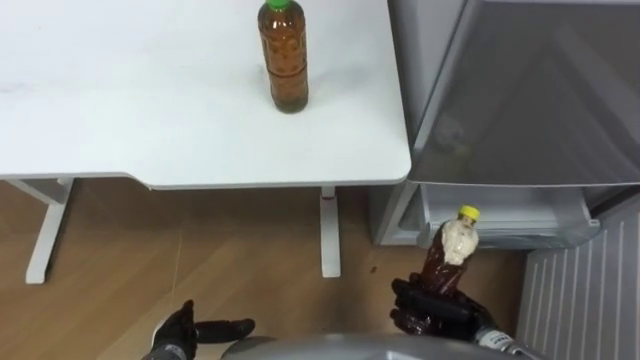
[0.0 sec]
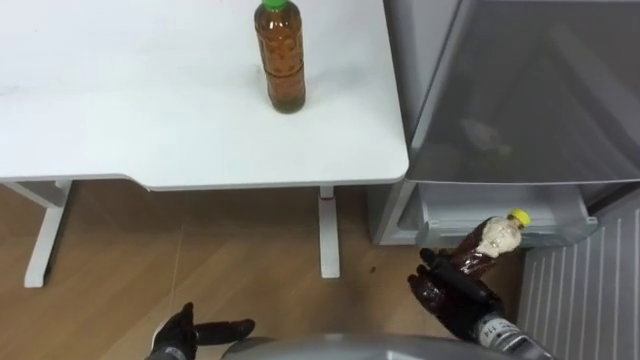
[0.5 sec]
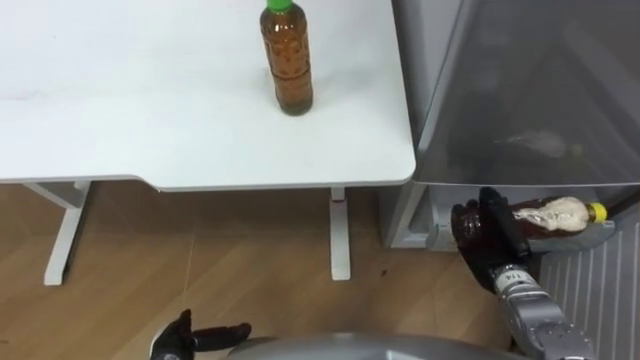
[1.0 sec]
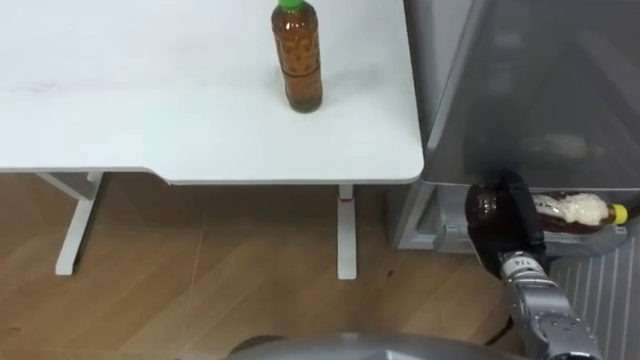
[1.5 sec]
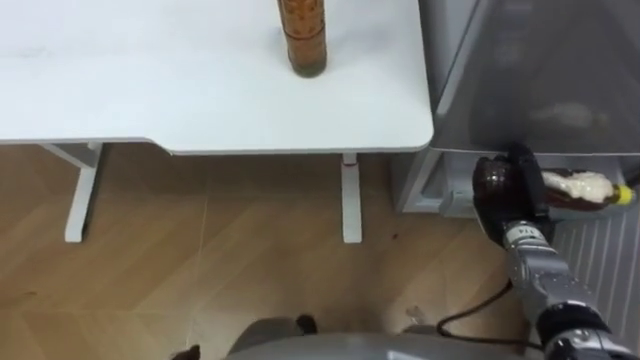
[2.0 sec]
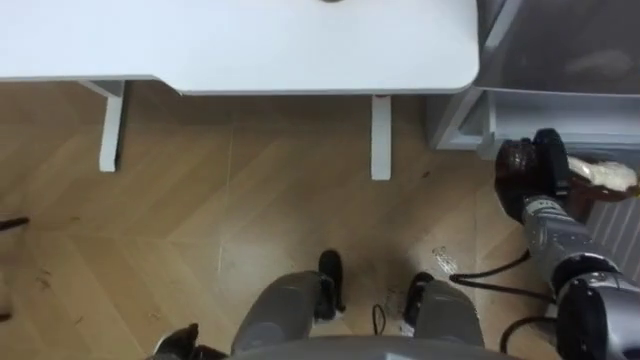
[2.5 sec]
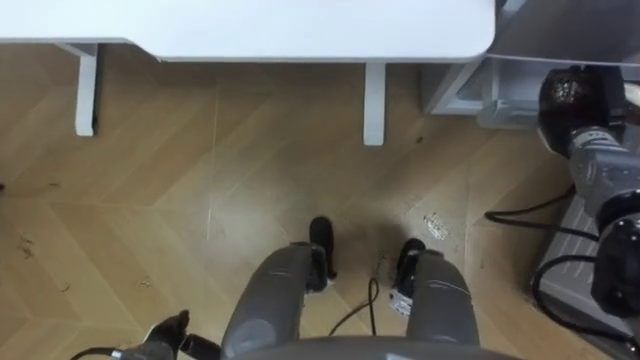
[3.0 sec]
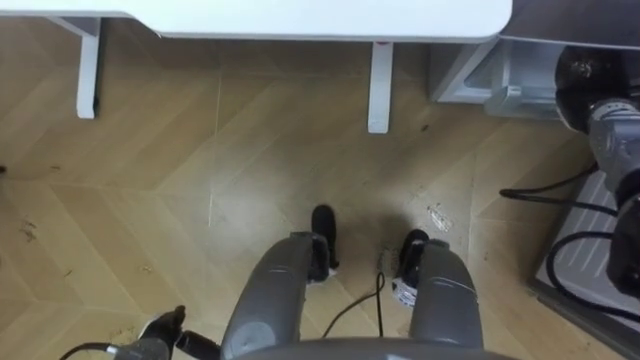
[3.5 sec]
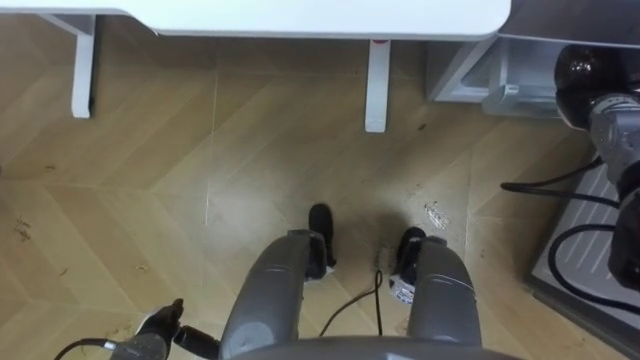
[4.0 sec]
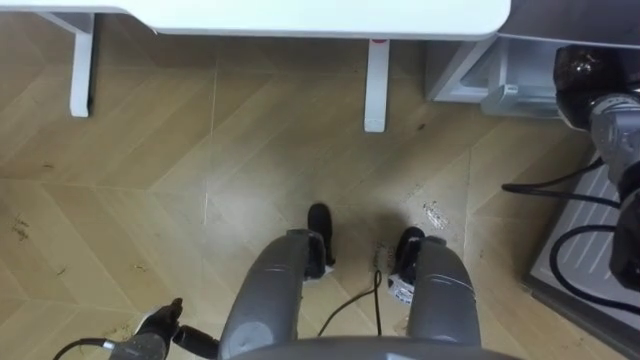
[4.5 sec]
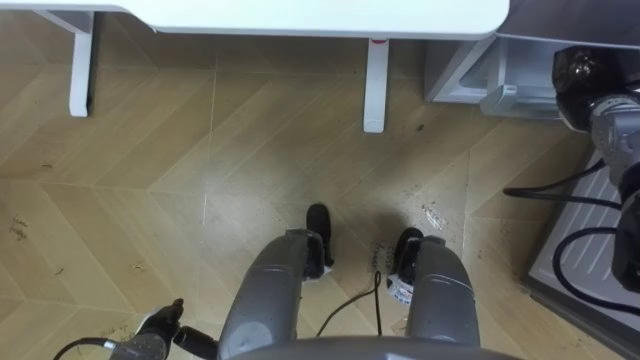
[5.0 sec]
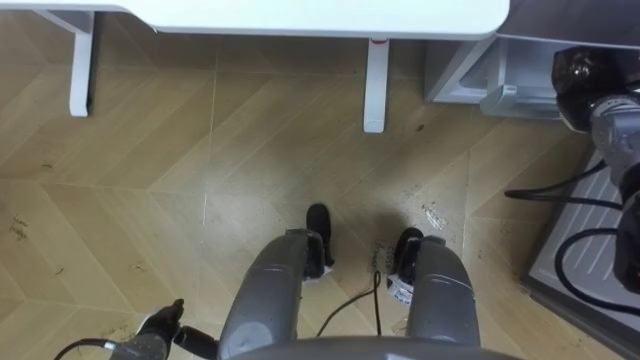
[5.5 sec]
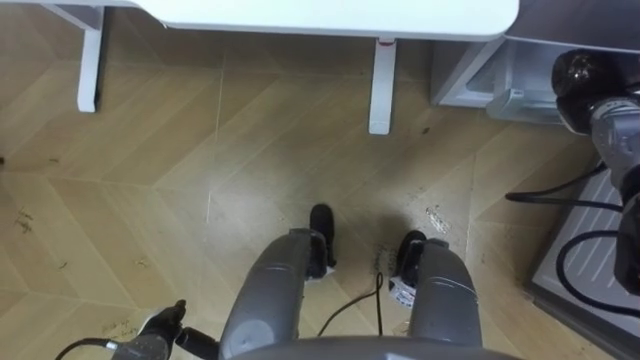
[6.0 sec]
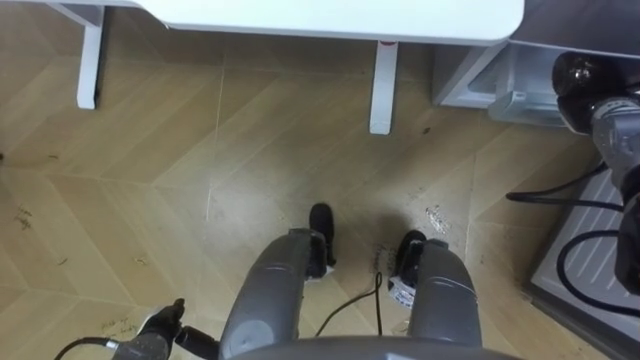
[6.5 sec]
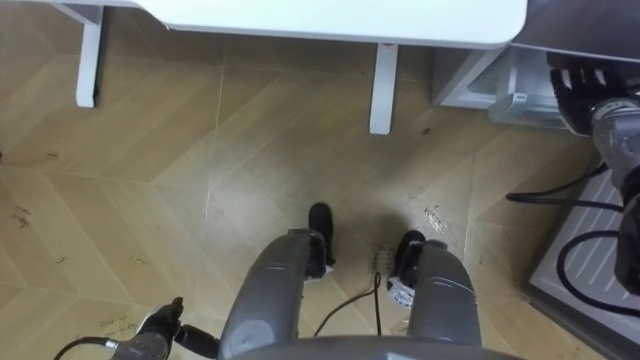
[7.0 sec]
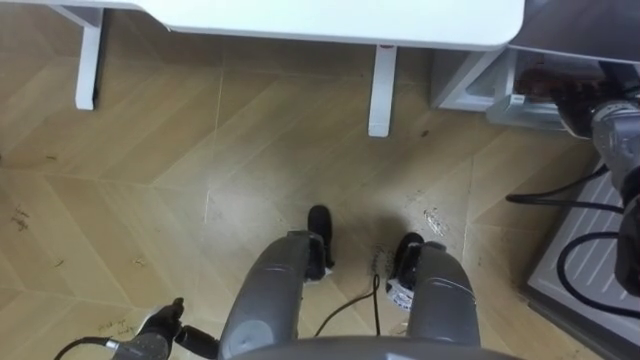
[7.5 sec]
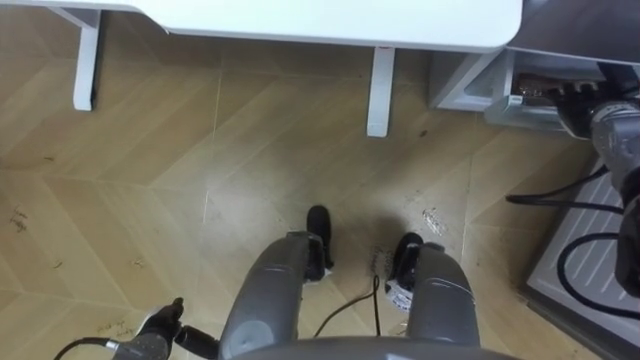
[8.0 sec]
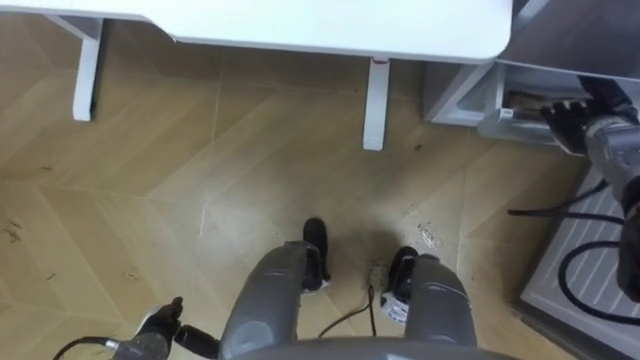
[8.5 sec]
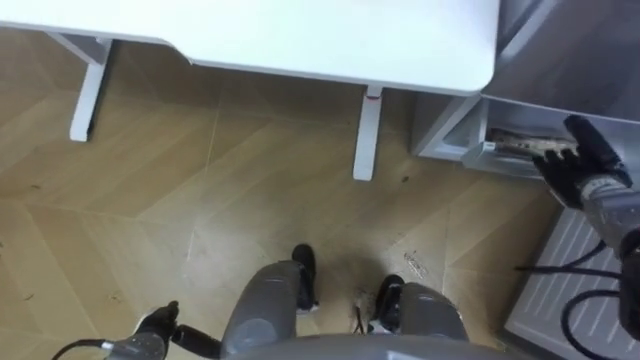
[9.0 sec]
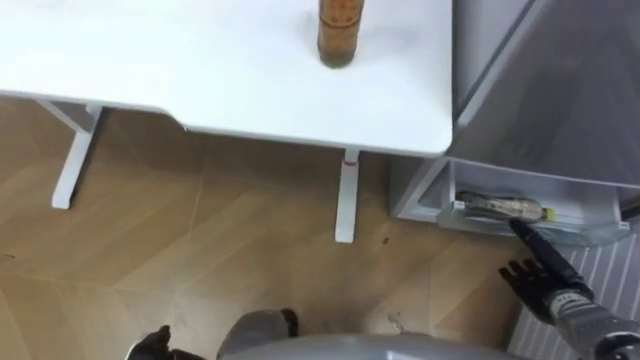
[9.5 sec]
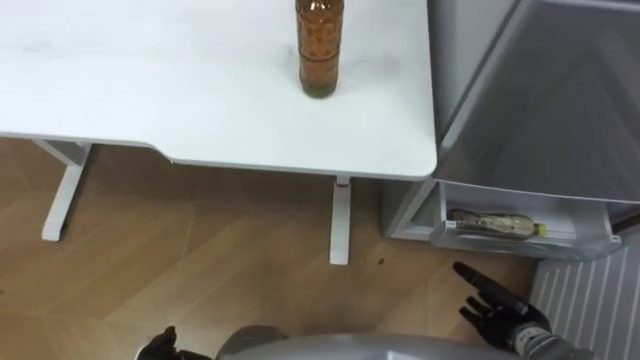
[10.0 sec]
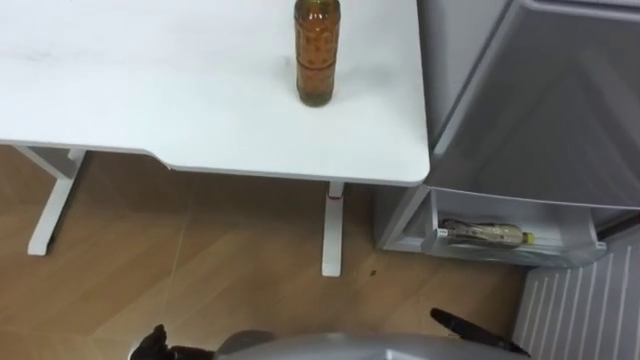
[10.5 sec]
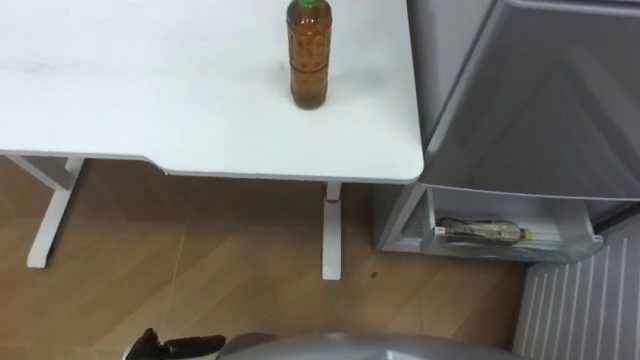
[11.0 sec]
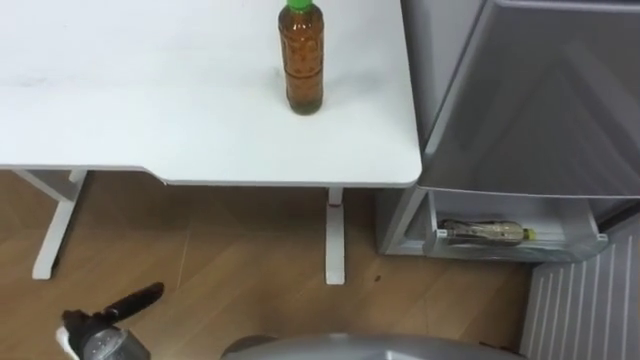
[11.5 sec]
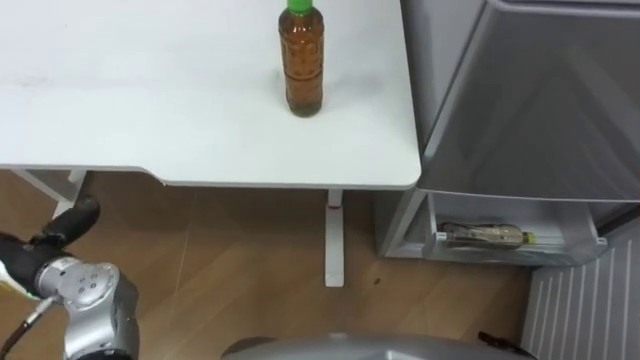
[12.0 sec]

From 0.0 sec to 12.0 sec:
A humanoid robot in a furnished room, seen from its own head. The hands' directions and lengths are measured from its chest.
Task of the whole recording: Place the drink on the table on the bottom shelf of the refrigerator, then close the drawer and the refrigerator door.
From 0.0 sec to 2.0 sec: The right hand moves forward and to the right, about 15 cm.
From 2.0 sec to 4.0 sec: The right hand goes about 20 cm forward, upward and to the right.
From 4.0 sec to 6.0 sec: The hands stay close to where they were, moving slightly.
From 6.0 sec to 8.0 sec: The right hand opens up.
From 8.0 sec to 10.0 sec: The right hand shifts about 30 cm backward and downward.

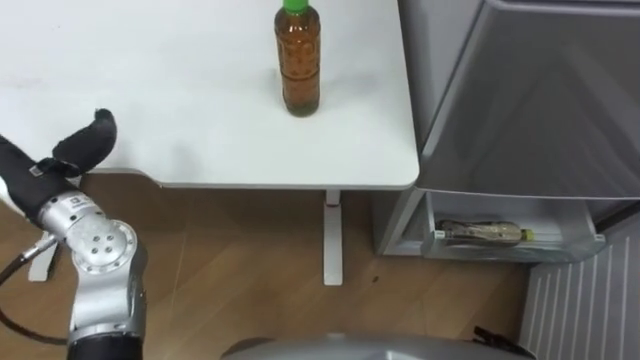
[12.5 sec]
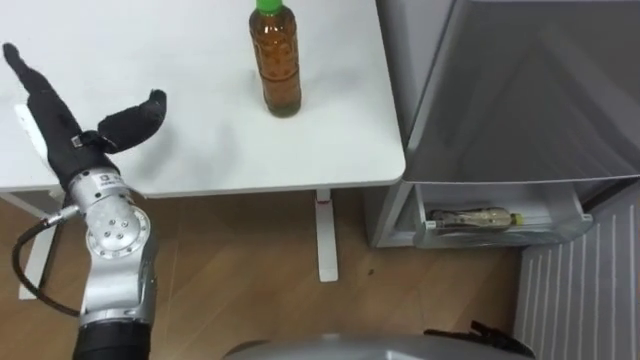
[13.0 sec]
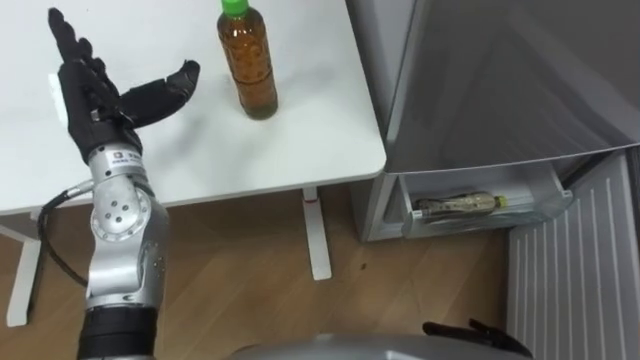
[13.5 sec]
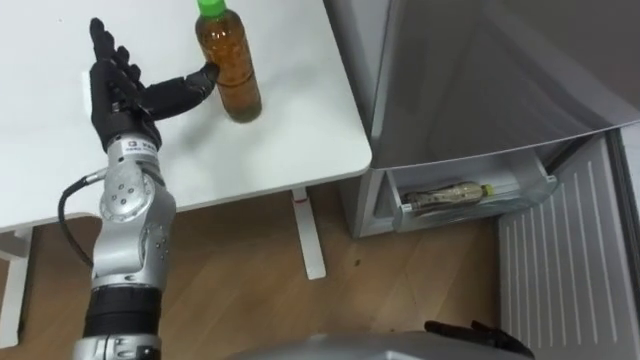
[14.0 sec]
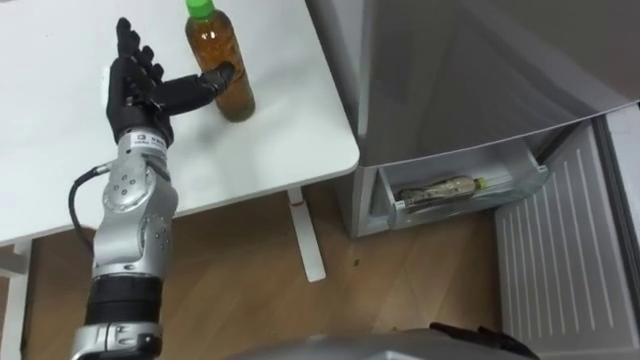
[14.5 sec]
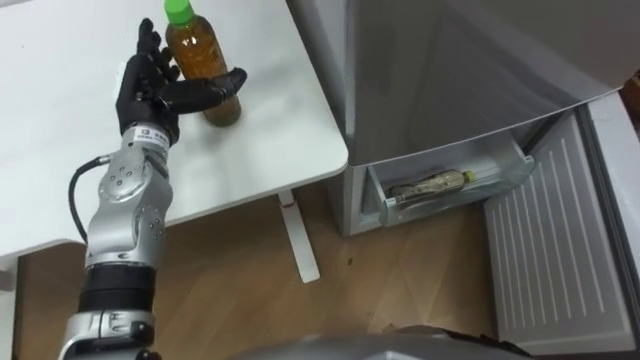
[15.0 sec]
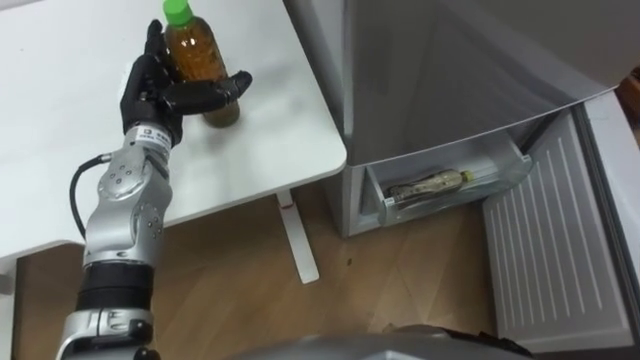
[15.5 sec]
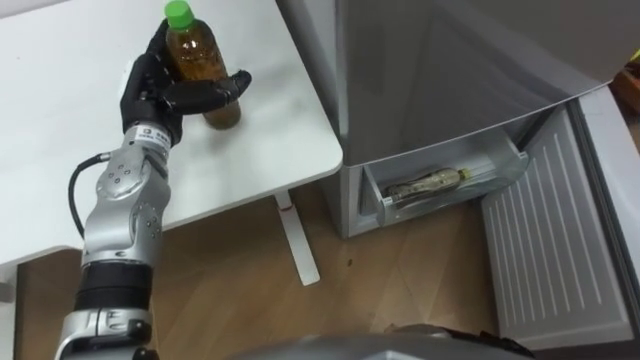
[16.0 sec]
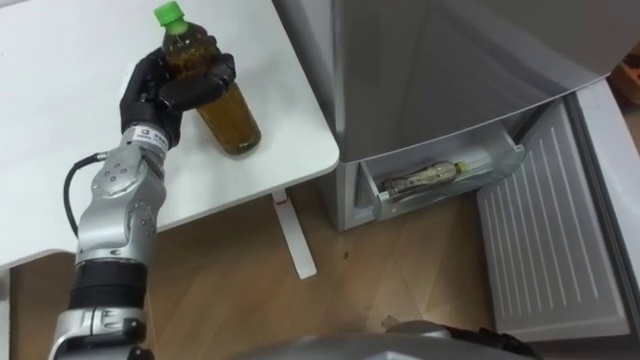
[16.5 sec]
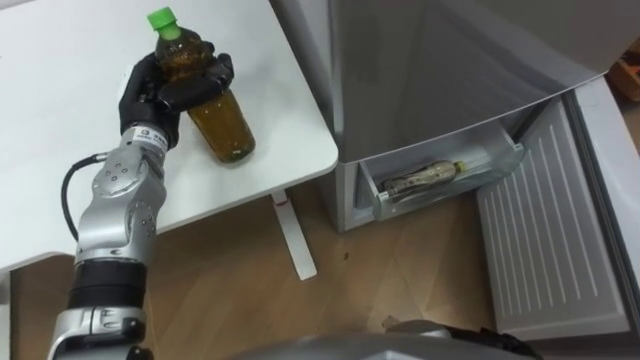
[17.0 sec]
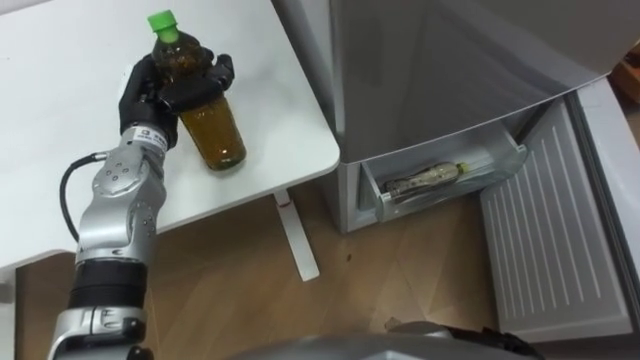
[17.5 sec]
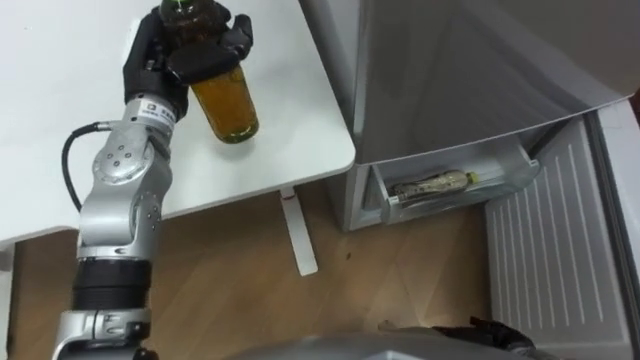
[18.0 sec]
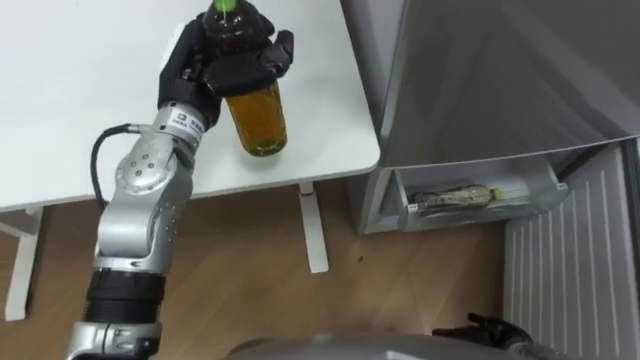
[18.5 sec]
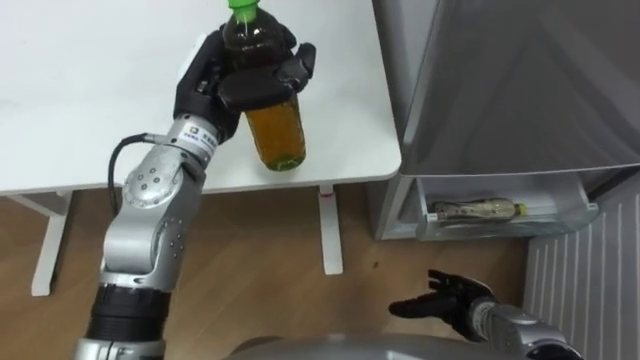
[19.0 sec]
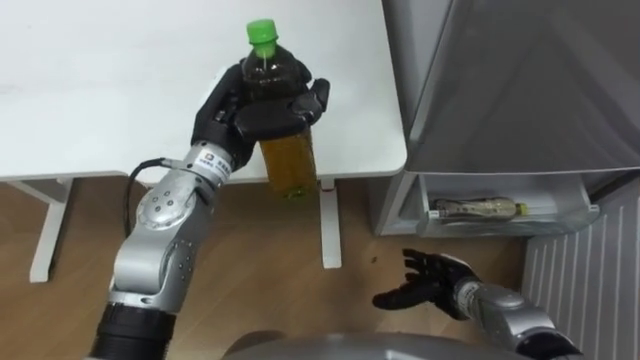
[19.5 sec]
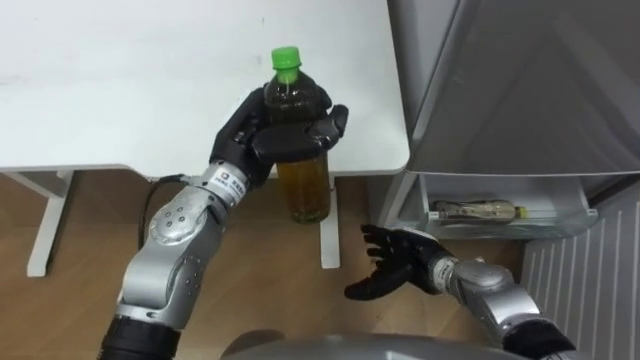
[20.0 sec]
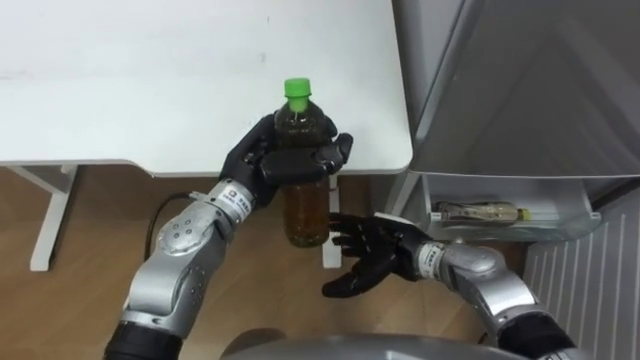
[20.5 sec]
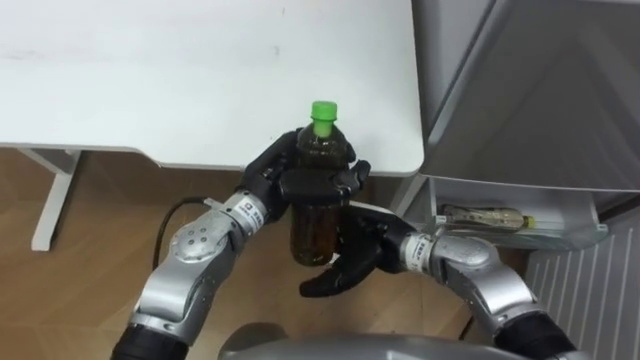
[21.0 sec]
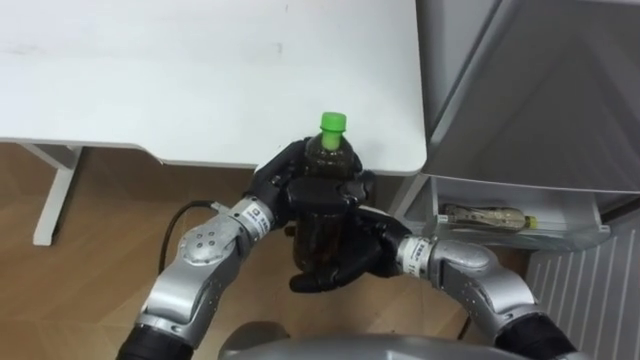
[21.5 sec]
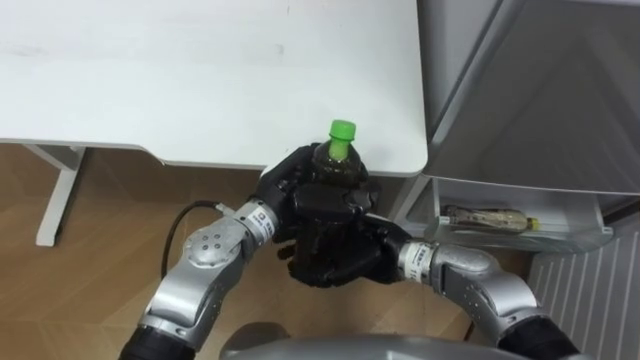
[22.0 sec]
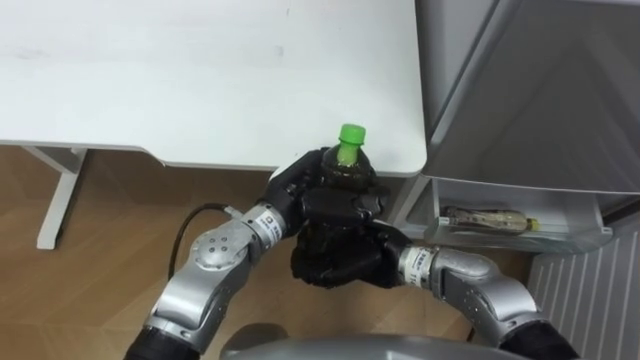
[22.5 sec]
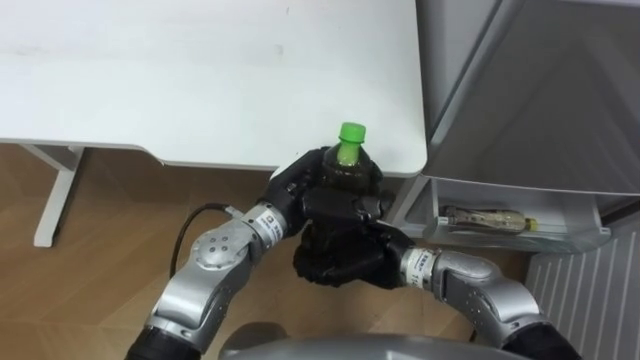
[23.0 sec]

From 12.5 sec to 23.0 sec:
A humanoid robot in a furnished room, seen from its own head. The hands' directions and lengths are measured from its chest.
Task of the whole recording: Place the drink on the table on the bottom shelf of the refrigerator, then close the drawer and the refrigerator door.
From 12.5 sec to 14.5 sec: The left hand shifts approximately 15 cm forward and to the right.
From 14.5 sec to 16.5 sec: The left hand closes.
From 16.5 sec to 19.0 sec: The left hand moves to the right and upward, approximately 10 cm.
From 19.0 sec to 21.0 sec: The right hand goes approximately 20 cm to the left, upward and forward. The left hand travels downward, to the right and backward by about 15 cm.
From 21.0 sec to 23.0 sec: The right hand closes.
